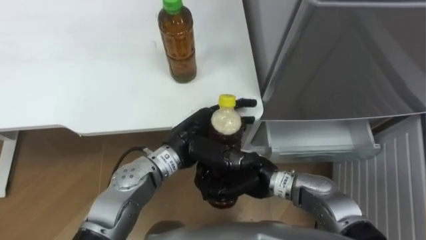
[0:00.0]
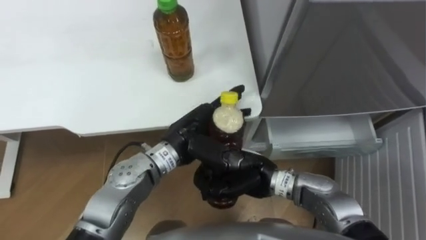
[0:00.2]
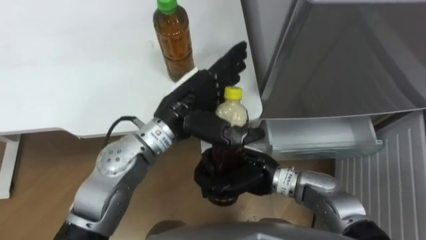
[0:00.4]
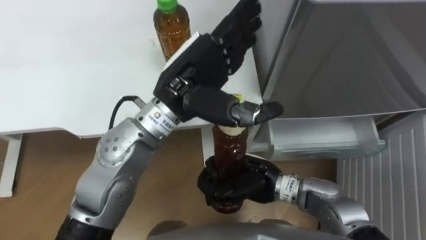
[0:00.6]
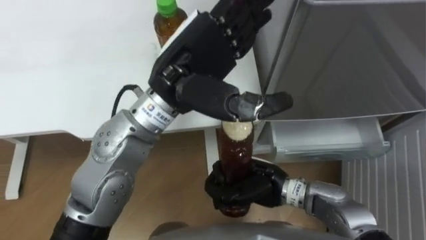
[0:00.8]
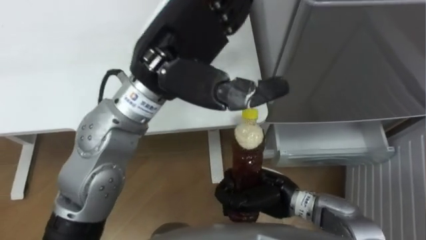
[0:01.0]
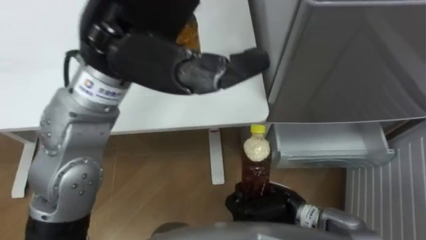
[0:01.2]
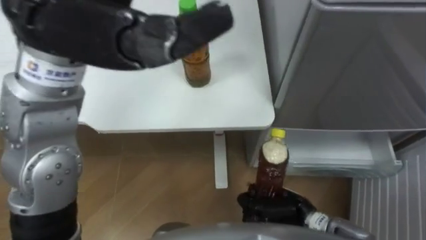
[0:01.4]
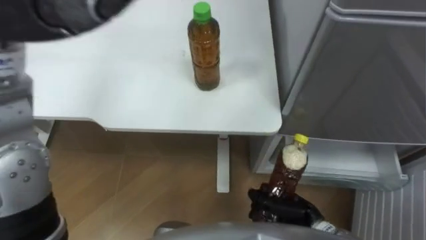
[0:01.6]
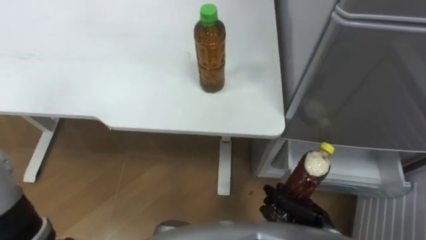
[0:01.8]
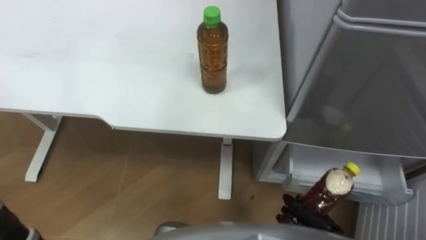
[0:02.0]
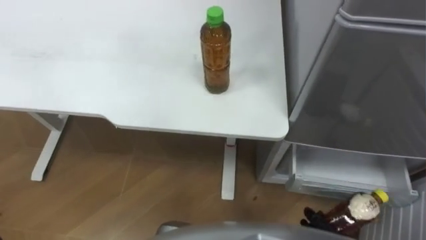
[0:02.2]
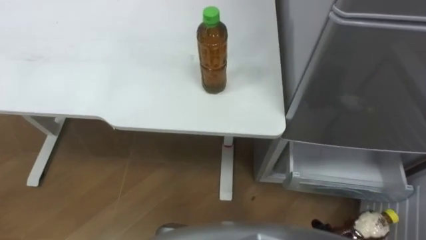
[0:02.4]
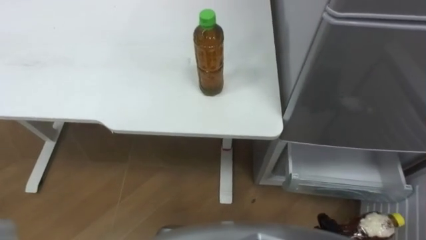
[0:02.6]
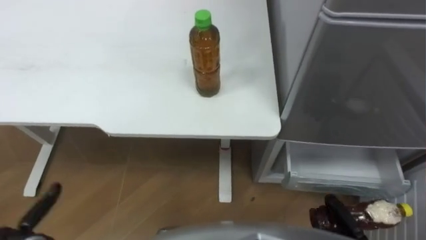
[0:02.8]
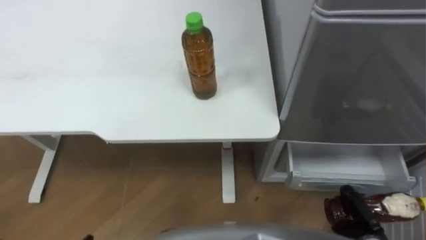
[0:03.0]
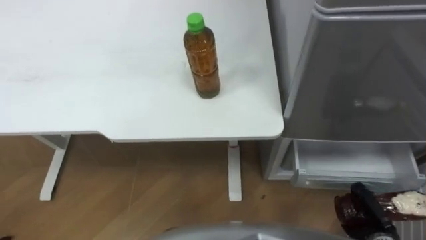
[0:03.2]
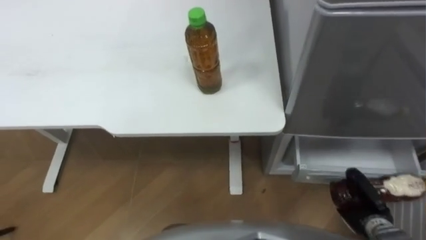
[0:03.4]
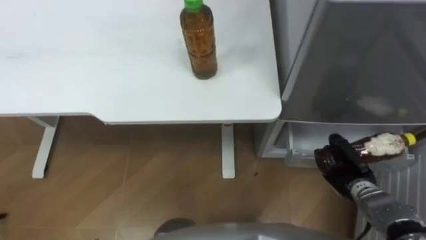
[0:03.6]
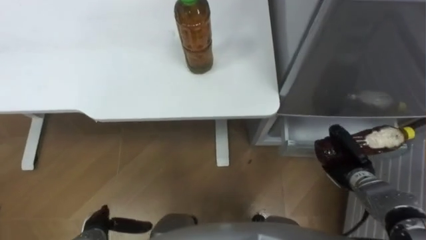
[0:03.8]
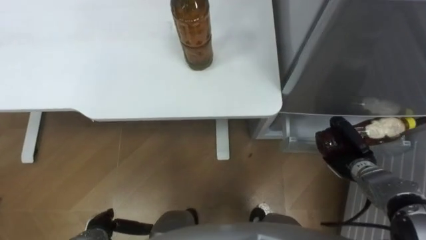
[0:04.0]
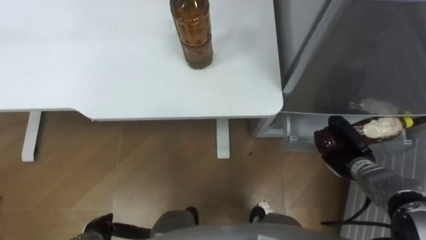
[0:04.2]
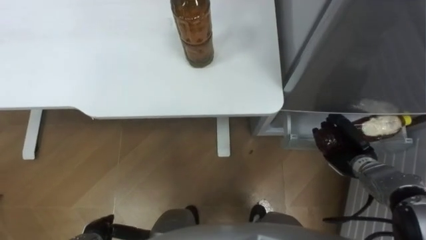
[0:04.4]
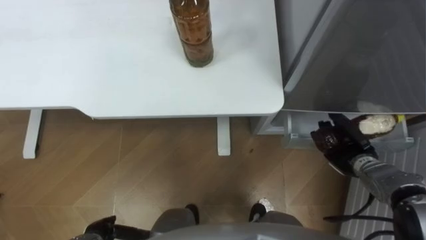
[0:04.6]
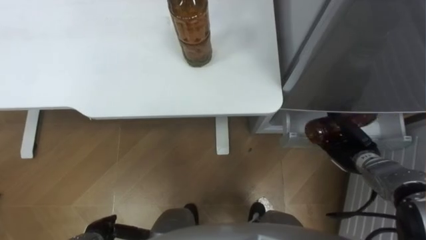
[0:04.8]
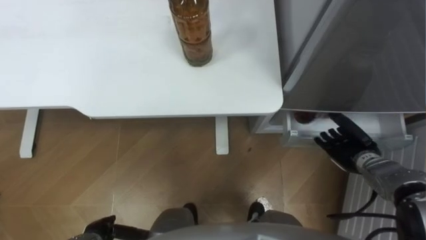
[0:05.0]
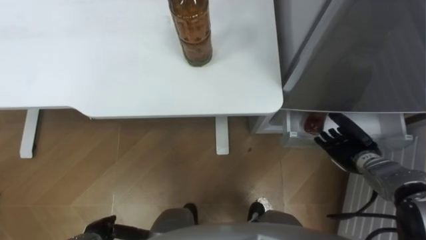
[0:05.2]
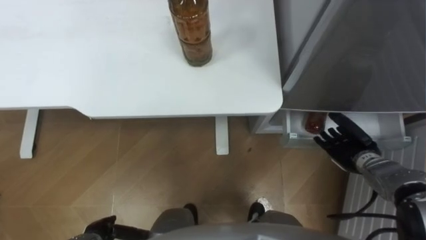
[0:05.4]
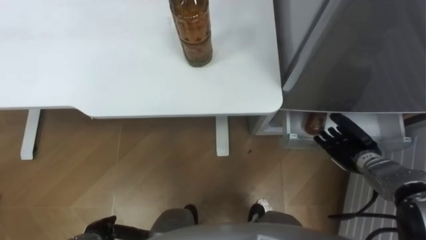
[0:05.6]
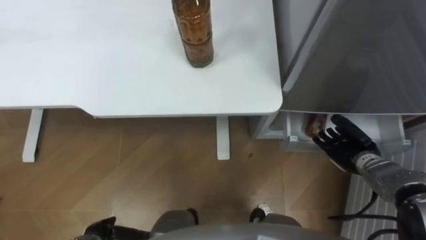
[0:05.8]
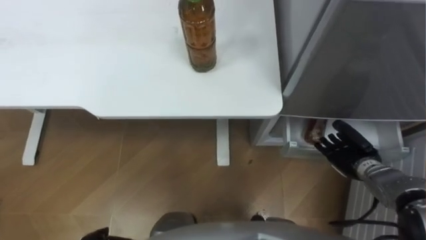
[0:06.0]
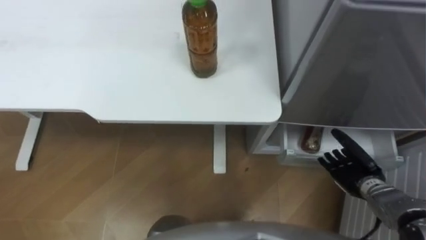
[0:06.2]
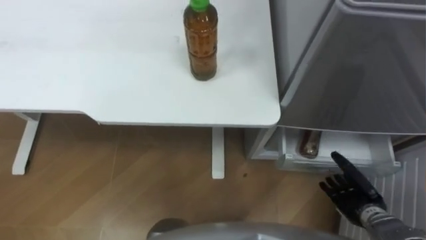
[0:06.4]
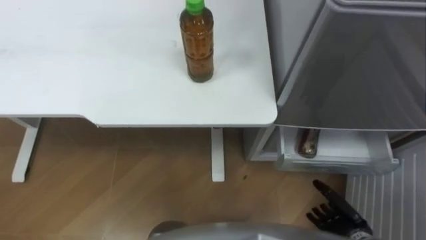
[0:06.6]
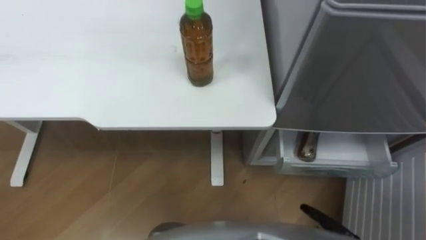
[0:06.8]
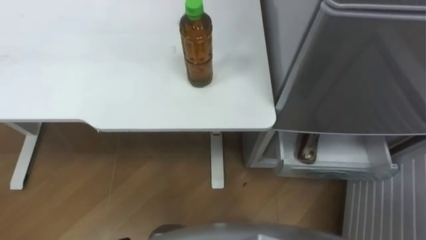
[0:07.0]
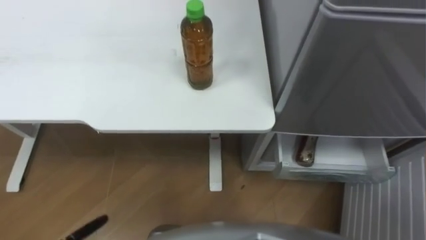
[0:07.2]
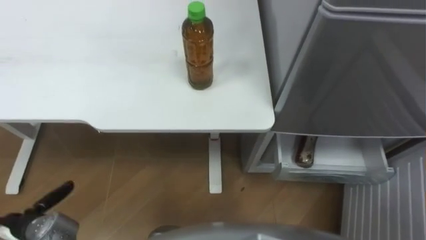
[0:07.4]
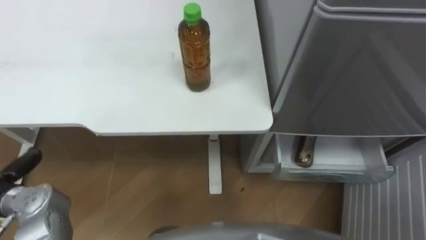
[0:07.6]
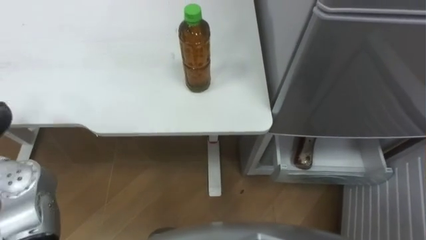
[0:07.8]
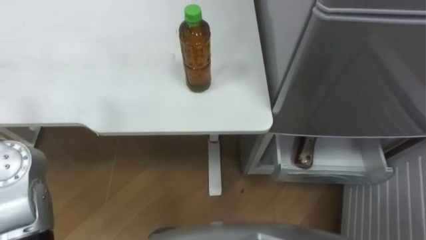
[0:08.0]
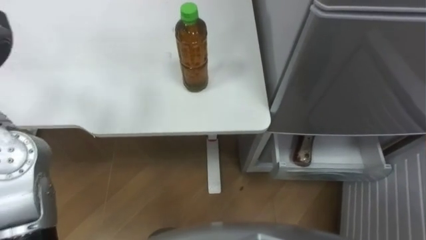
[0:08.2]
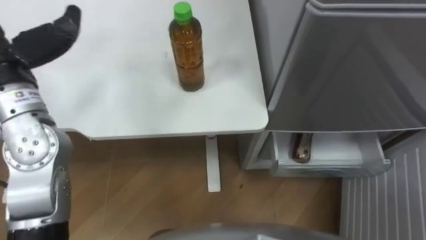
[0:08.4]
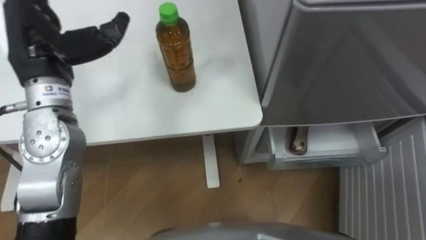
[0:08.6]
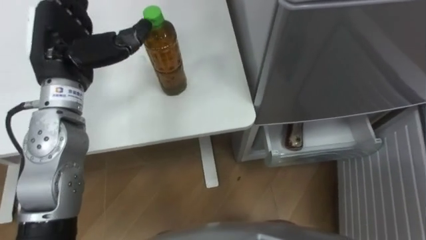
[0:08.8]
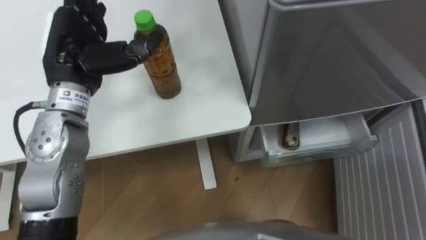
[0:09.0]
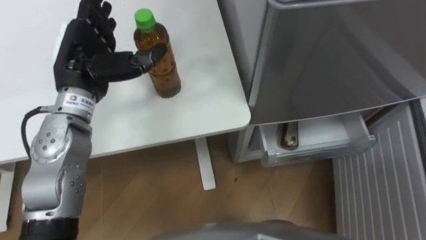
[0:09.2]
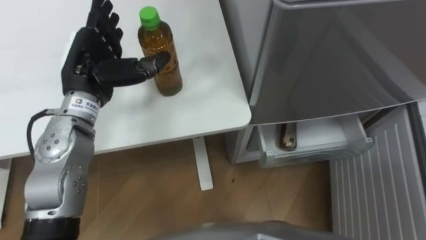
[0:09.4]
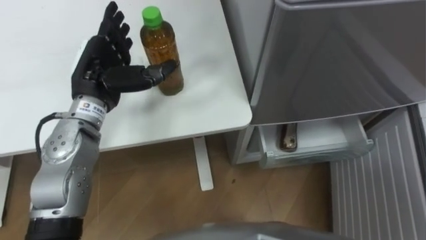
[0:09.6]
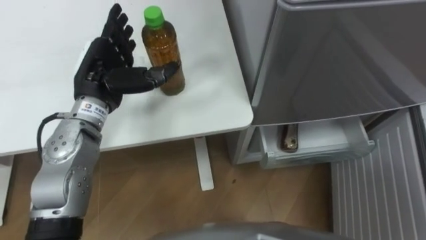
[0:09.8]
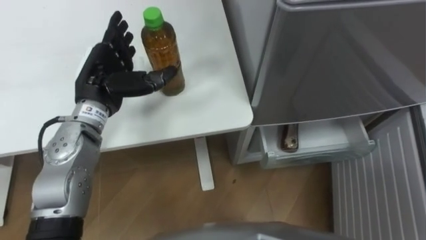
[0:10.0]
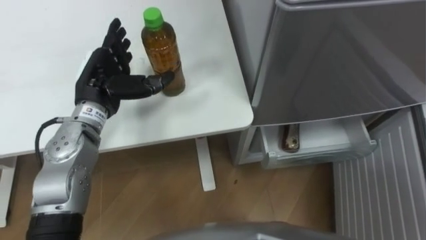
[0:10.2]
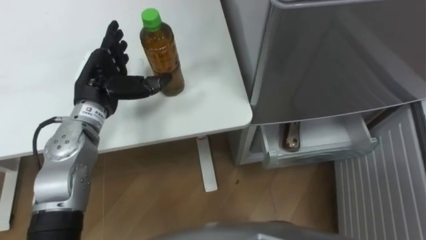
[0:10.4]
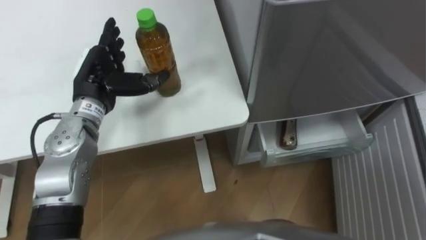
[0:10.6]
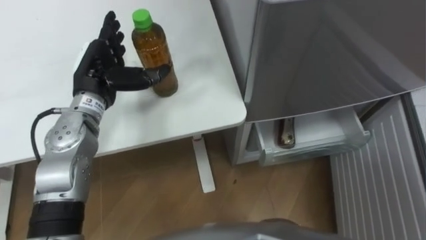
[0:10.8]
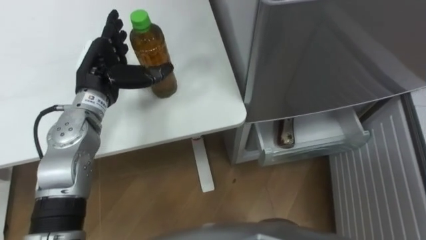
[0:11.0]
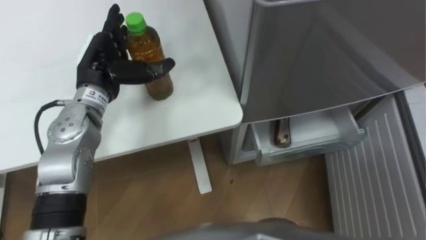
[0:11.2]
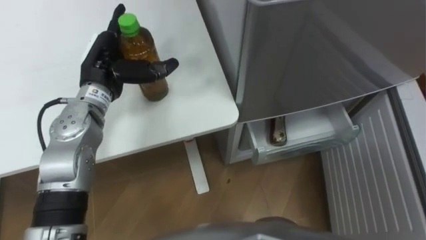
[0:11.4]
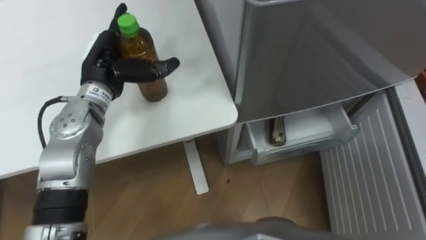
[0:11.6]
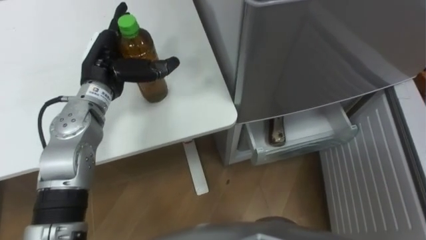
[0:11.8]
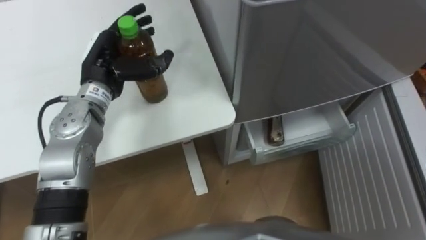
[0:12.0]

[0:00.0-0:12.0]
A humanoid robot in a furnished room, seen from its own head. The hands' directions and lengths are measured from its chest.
Task of the whole recording: Place the drink on the table on the bottom shelf of the refrigerator, then close the drawer and the refrigerator door.
0:00.0 to 0:01.6: The right hand goes approximately 15 cm to the right, downward and backward.
0:03.0 to 0:04.4: The right hand heads forward, covering roughly 15 cm.
0:04.4 to 0:06.0: The right hand opens up.
0:09.0 to 0:10.4: The left hand is displaced downward by roughly 10 cm.

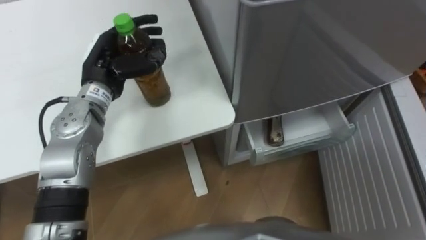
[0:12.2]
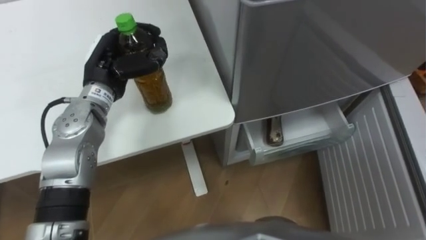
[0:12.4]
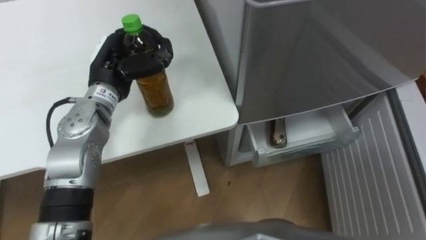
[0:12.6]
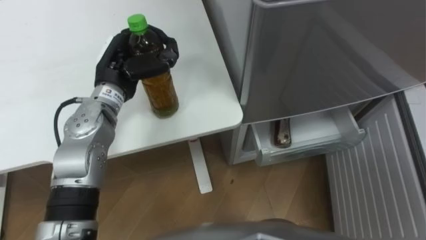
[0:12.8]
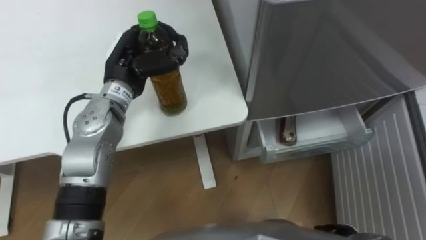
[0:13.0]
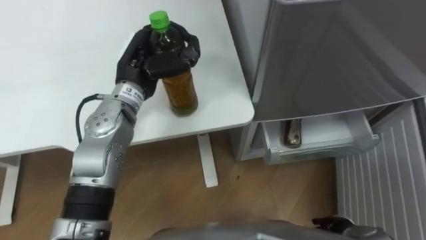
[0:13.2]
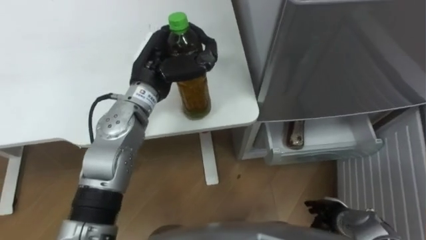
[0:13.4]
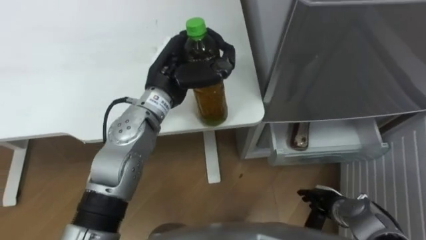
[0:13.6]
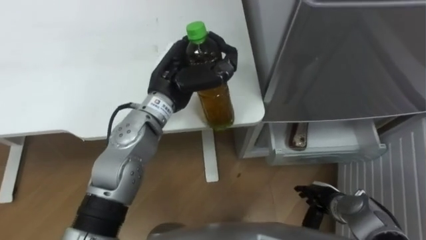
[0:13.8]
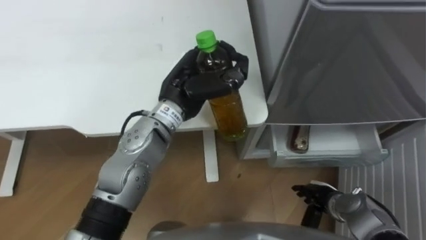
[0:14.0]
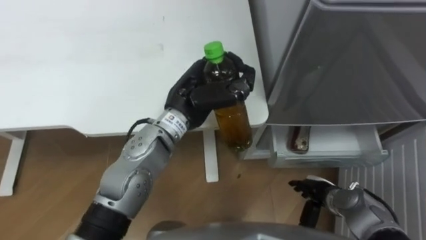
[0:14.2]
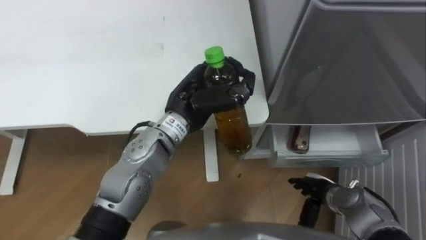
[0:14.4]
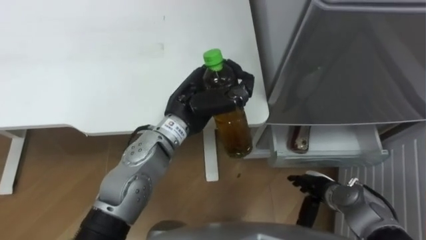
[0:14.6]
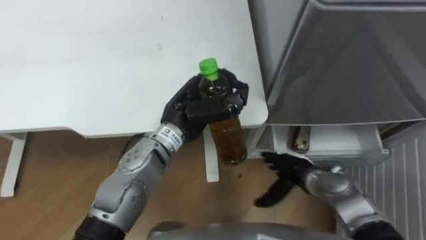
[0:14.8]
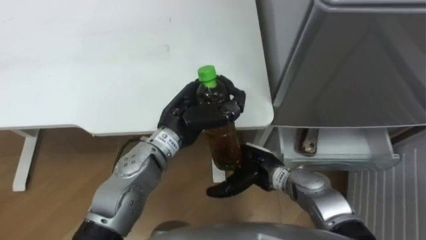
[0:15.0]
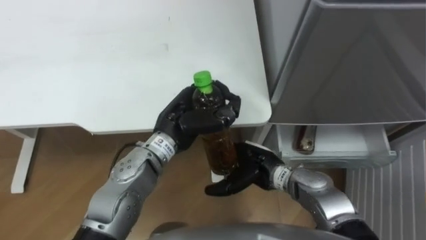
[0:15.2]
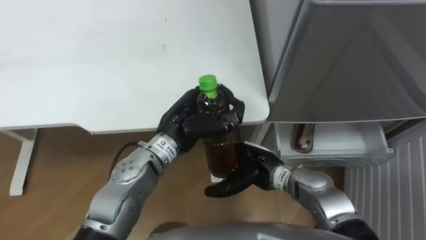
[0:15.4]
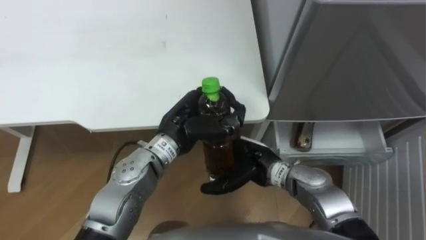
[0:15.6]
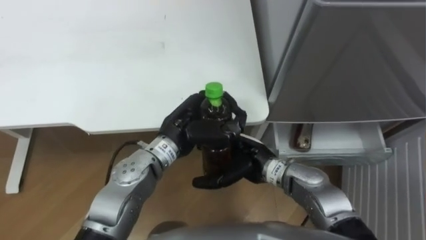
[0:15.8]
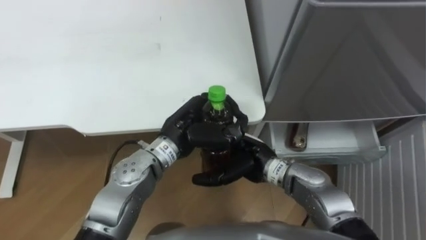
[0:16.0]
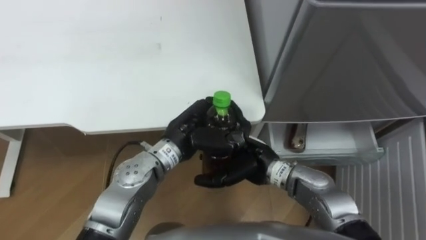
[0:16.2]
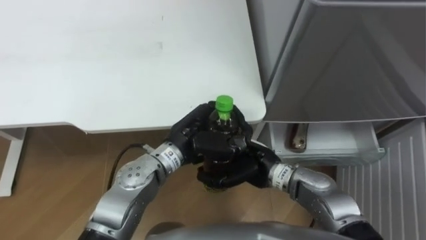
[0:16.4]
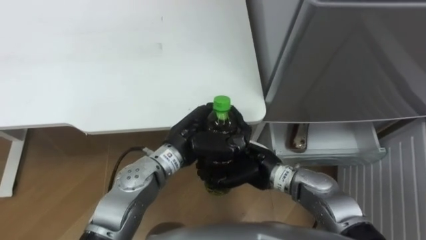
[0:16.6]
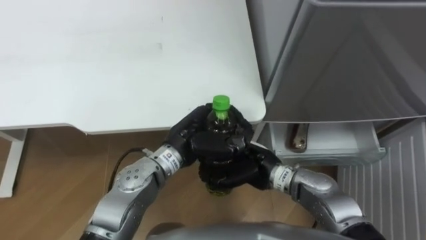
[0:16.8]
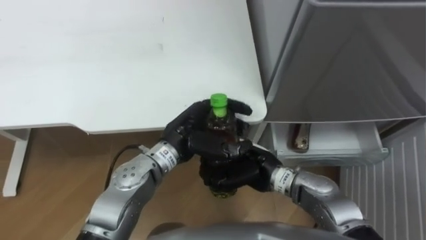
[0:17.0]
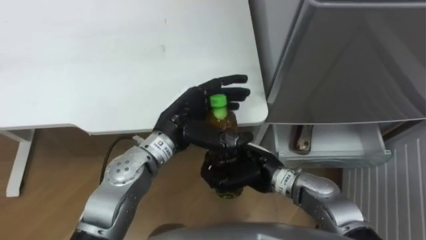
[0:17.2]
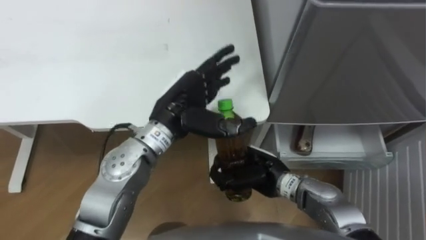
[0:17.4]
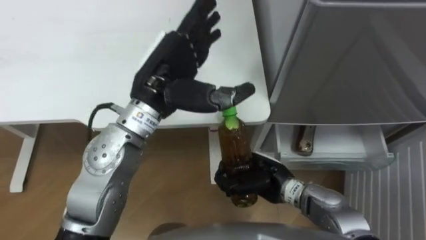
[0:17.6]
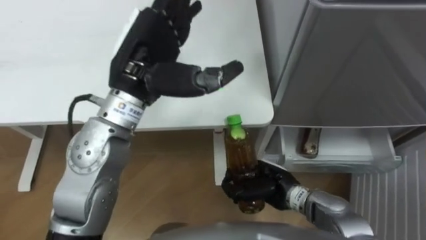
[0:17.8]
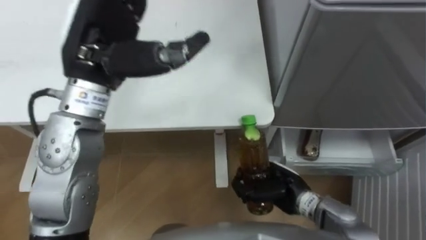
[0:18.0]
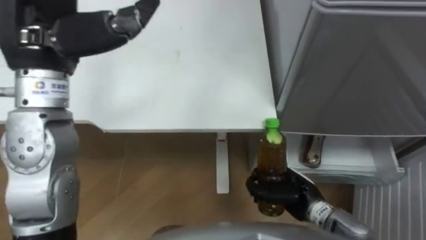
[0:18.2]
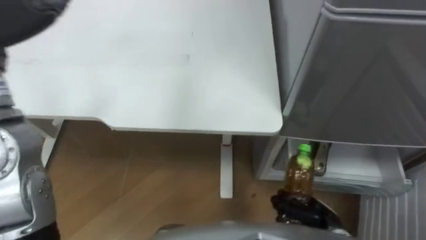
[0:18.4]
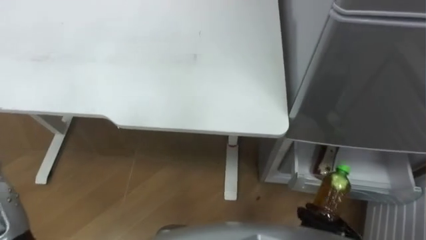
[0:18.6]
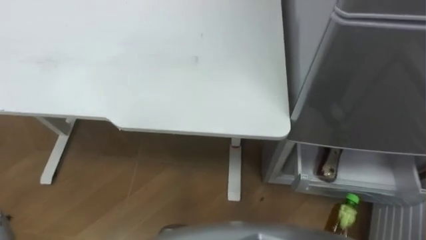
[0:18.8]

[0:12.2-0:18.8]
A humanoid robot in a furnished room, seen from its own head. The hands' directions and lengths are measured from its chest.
Task of the whole recording: Place the drink on the table on the bottom shelf of the refrigerator, then close the drawer and the refrigerator door.
0:12.2 to 0:13.8: The left hand shifts roughly 10 cm to the right.
0:13.8 to 0:15.4: The left hand moves backward and downward, roughly 10 cm. The right hand travels to the left, upward and forward by some 20 cm.
0:15.4 to 0:17.2: The right hand closes its fingers. Meanwhile the left hand opens up.
